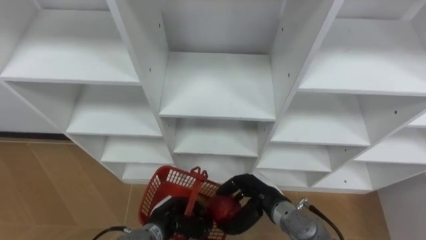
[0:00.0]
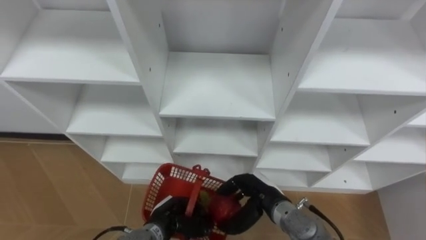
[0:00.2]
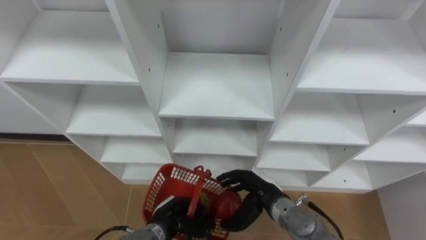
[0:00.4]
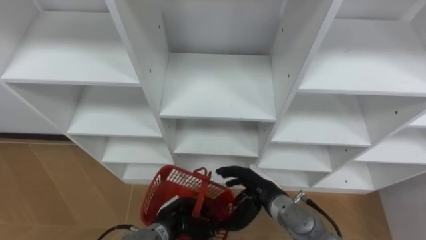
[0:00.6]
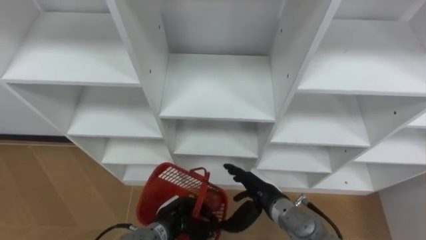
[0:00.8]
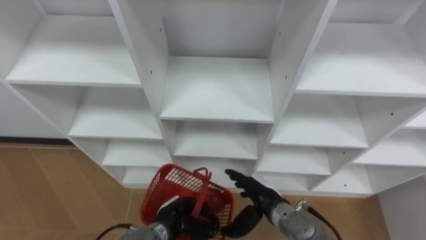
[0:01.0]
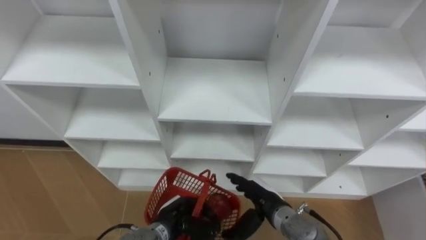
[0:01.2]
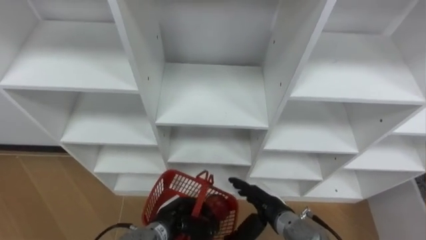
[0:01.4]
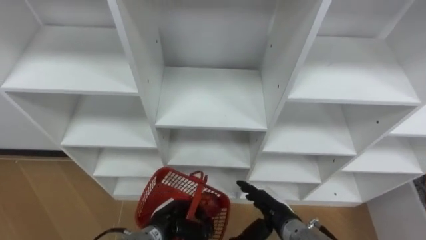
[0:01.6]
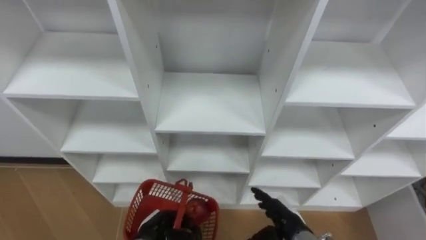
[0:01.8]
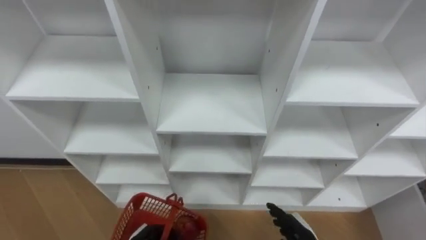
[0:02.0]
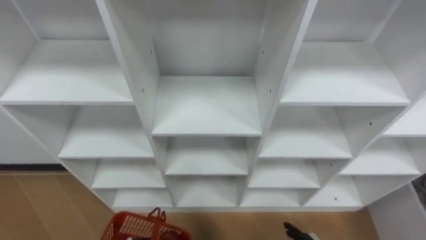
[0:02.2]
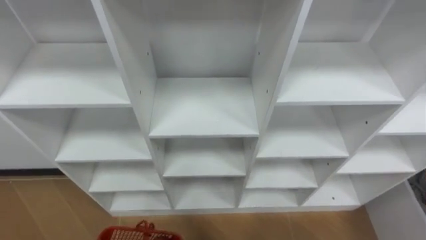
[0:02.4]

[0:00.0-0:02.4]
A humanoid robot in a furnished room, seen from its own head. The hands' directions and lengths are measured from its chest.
Task of the whole recording: Hold the basket and collect the fruits from 3 different cells of the closet into it.
0:00.0 to 0:01.2: The right hand opens.

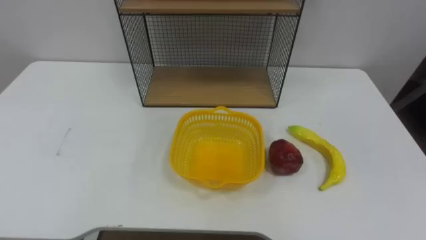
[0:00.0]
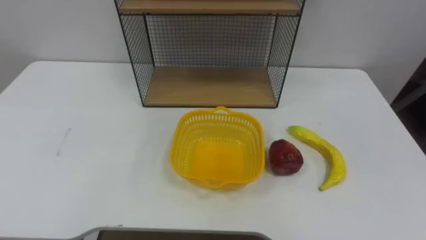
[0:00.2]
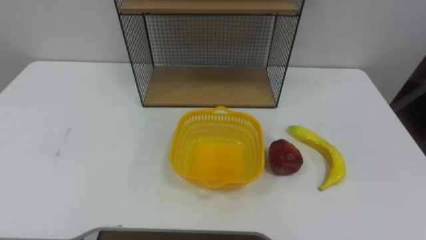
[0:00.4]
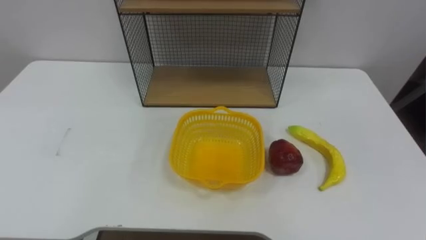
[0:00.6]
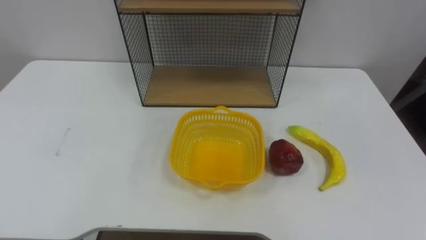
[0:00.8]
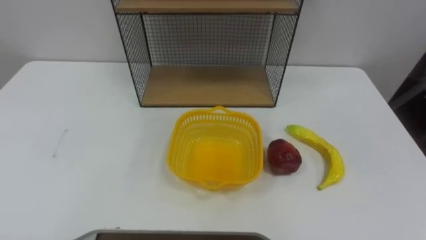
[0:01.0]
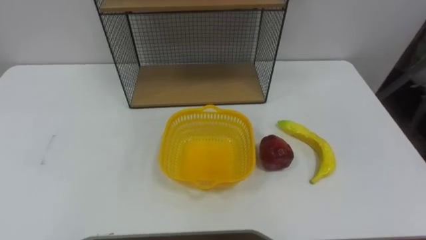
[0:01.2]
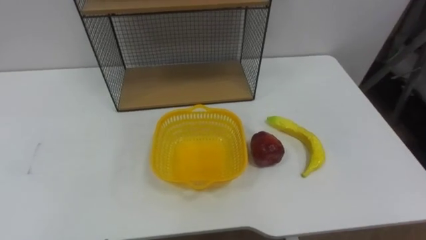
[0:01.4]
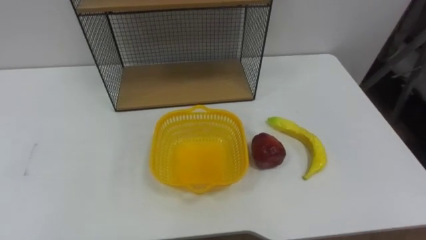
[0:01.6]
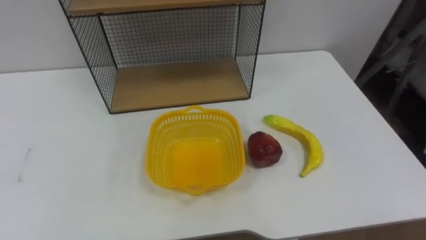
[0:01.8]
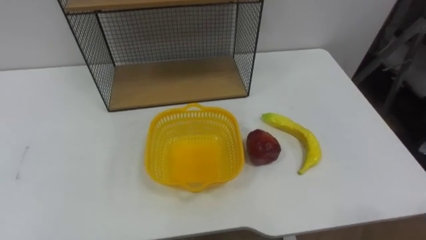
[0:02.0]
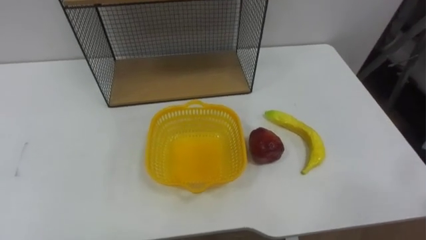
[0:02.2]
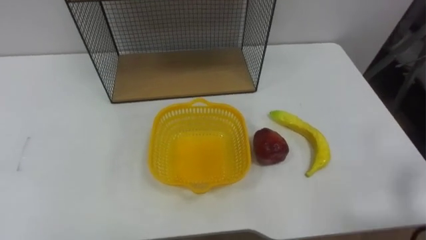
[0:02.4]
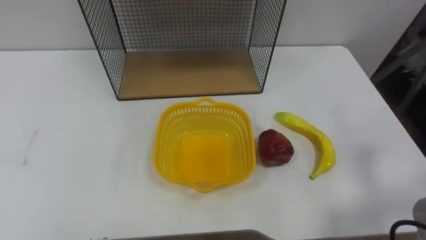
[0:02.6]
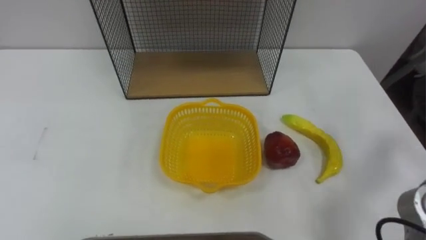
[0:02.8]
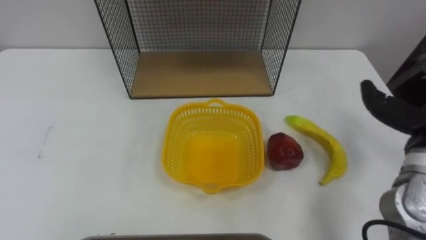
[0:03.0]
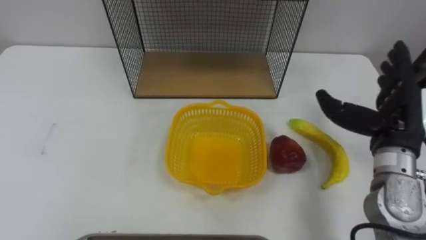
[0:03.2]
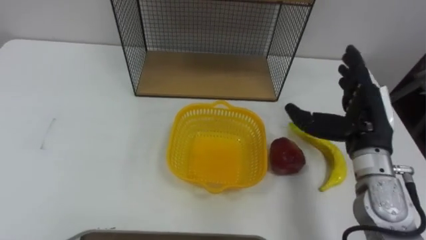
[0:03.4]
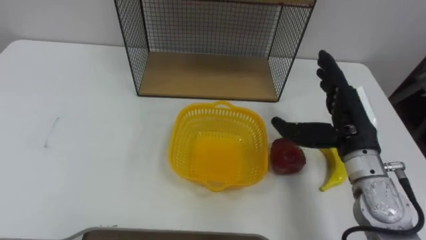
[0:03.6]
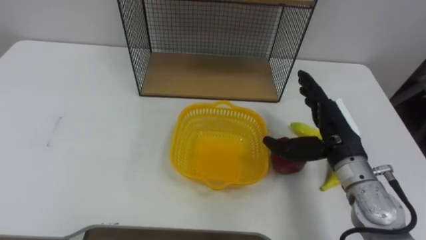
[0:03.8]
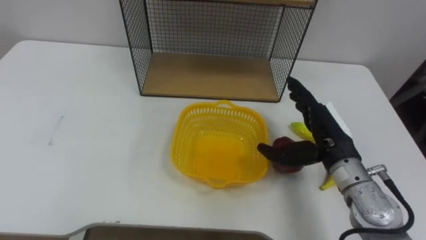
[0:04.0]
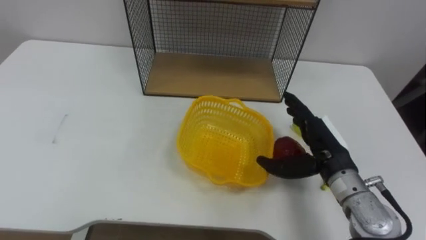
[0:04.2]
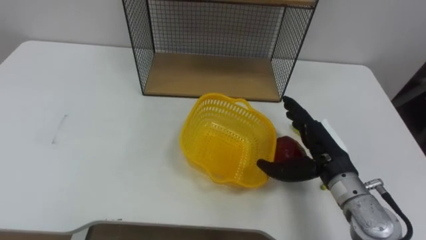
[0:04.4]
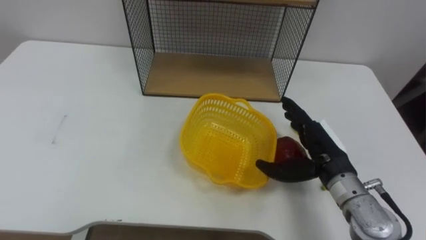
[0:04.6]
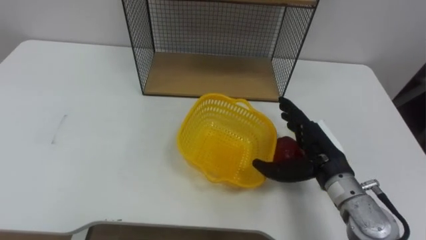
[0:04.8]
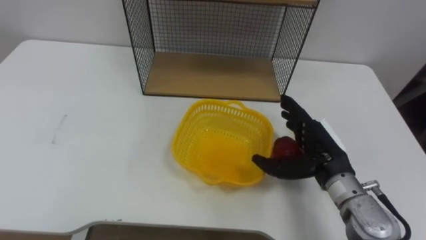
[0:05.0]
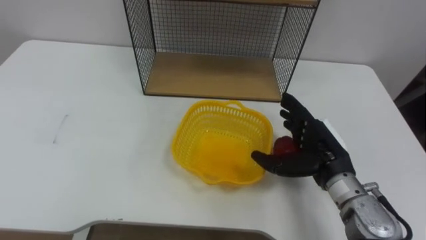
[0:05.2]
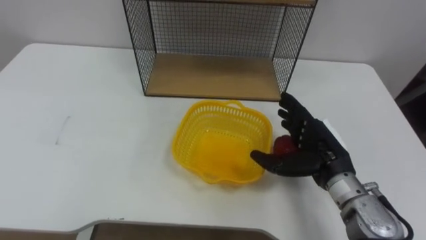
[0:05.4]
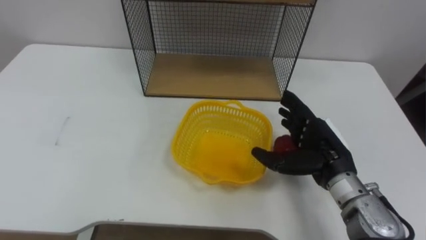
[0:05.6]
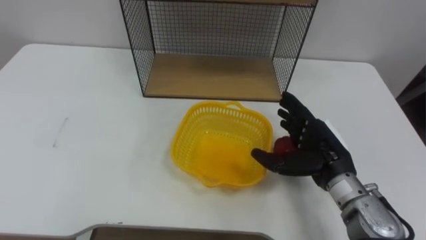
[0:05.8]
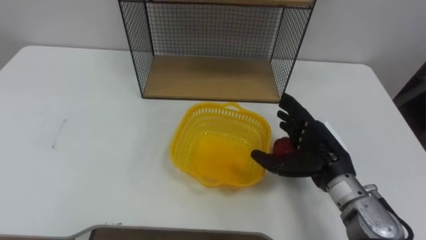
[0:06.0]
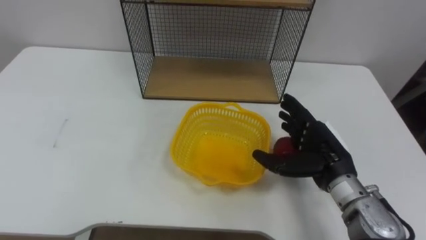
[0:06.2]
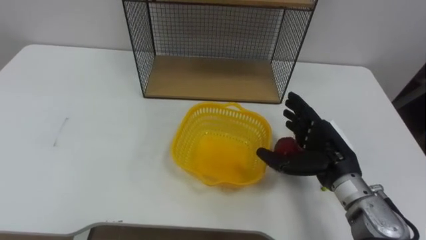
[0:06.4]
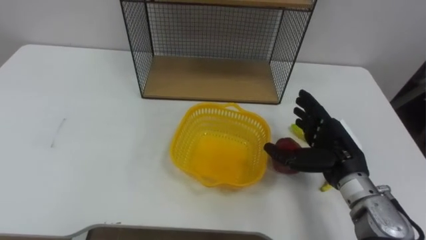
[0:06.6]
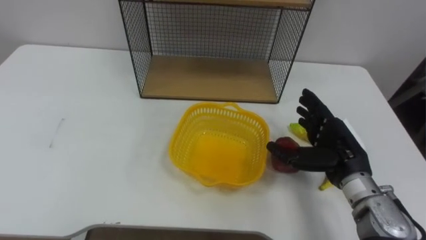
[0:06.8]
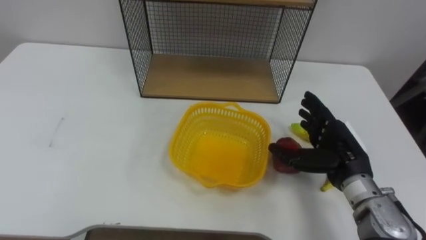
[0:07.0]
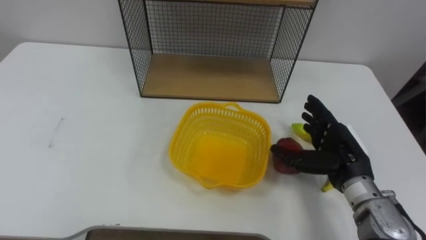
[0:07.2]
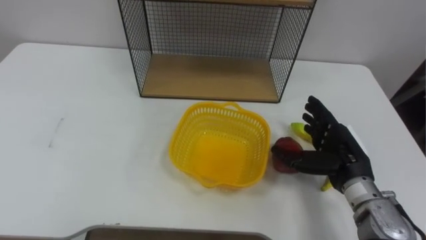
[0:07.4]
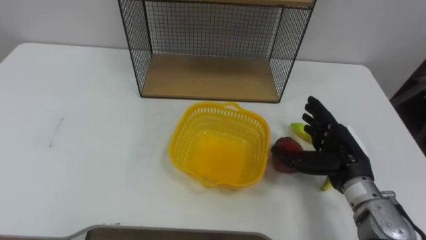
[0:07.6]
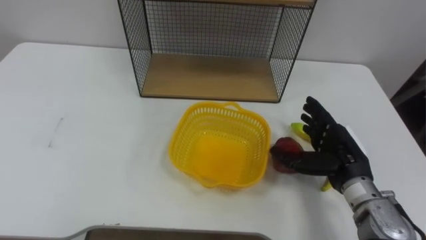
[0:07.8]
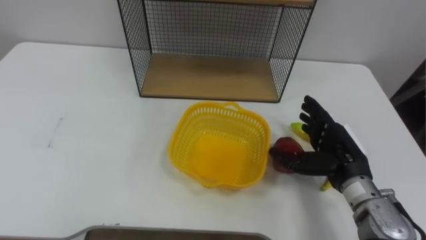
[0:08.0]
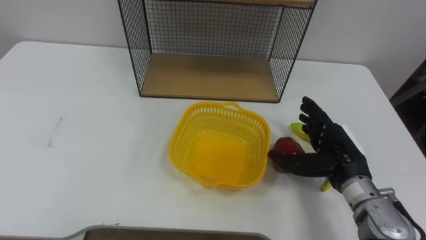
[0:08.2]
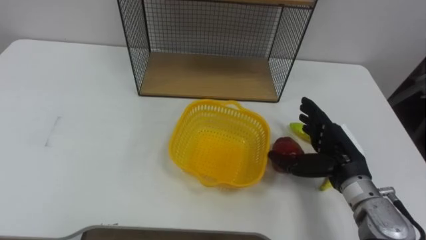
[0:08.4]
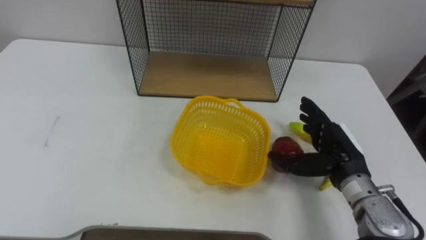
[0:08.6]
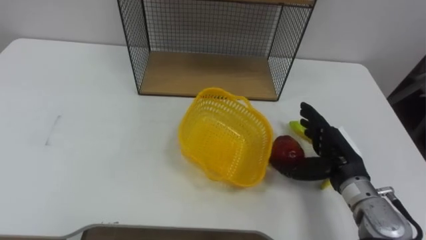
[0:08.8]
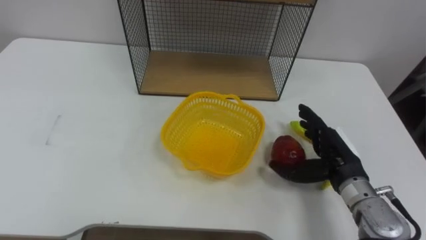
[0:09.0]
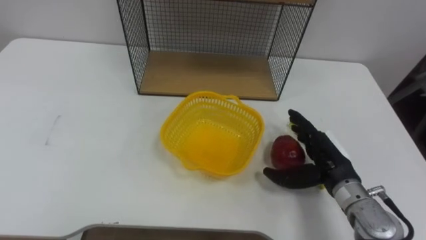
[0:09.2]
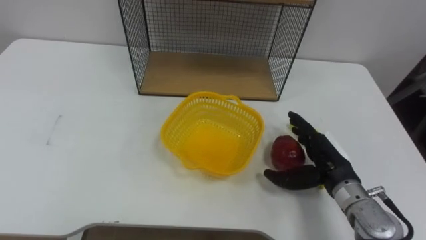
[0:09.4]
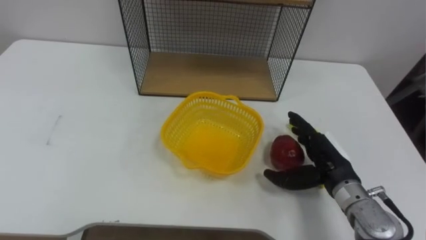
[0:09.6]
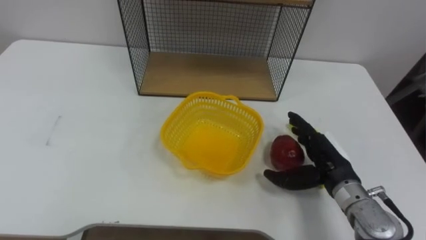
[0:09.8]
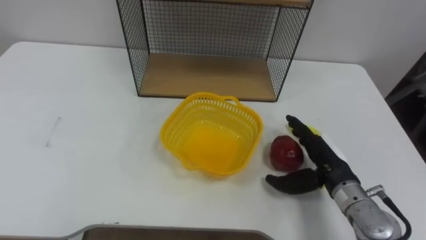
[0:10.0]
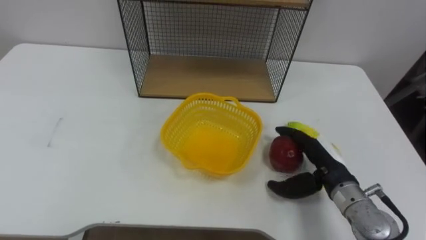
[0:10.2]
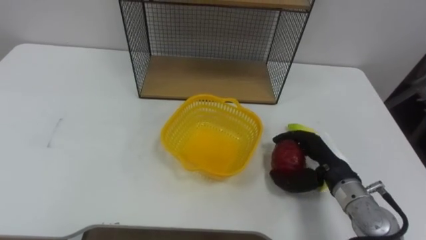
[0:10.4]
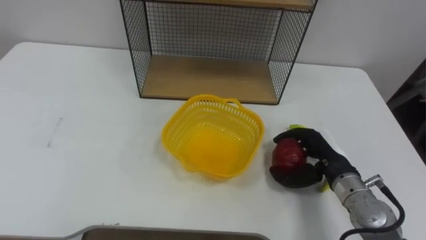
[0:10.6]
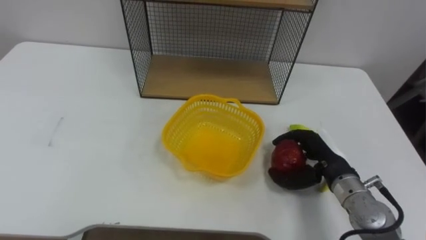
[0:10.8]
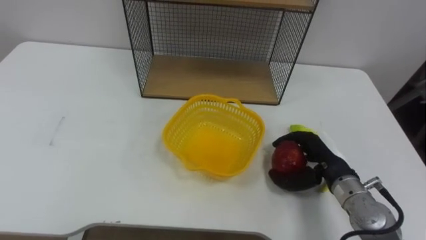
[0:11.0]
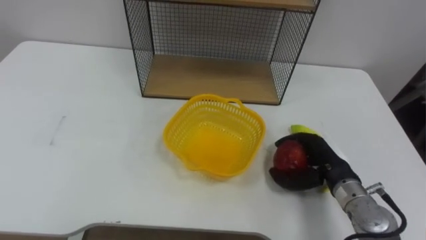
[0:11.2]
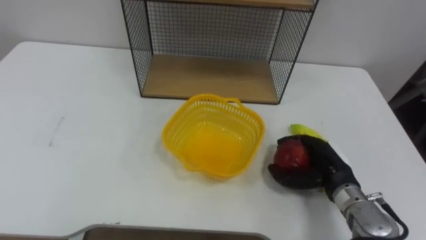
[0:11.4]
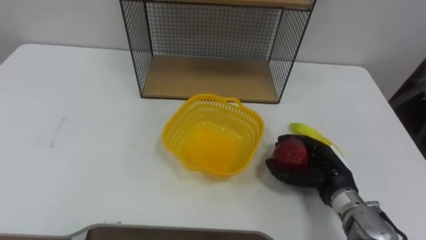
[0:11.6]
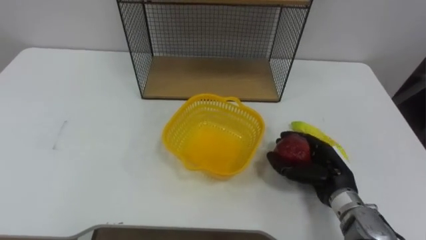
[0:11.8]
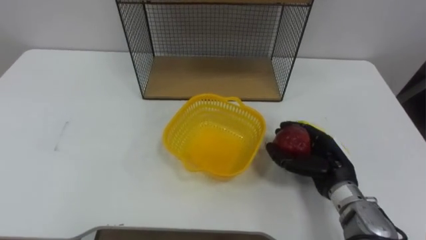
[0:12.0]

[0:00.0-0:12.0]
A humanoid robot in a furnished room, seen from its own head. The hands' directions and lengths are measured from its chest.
Task of the whole recording: Put the fruit on the table into the basket, then place the basket on the shelf.
0:09.0 to 0:10.4: The right hand closes its fingers.

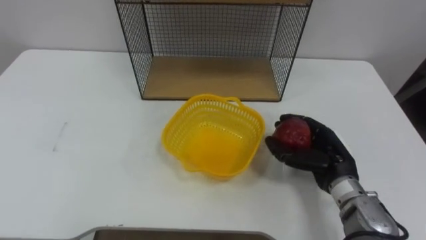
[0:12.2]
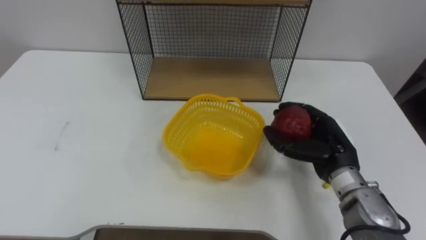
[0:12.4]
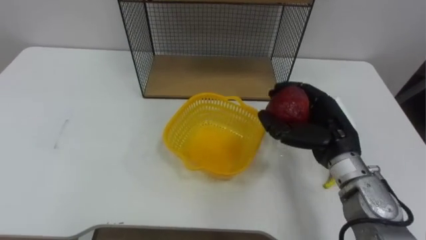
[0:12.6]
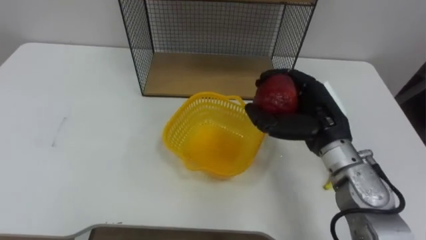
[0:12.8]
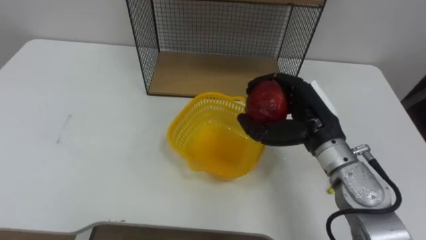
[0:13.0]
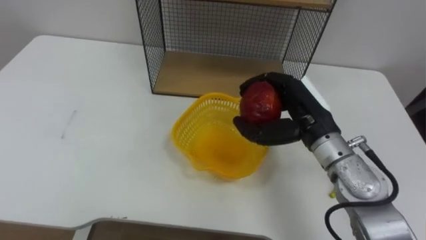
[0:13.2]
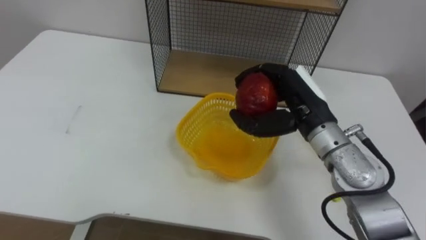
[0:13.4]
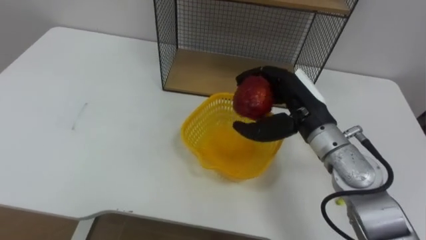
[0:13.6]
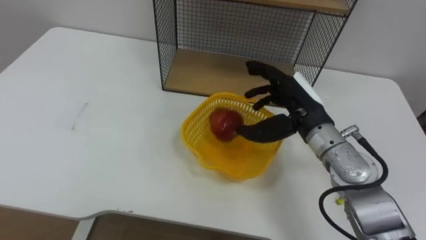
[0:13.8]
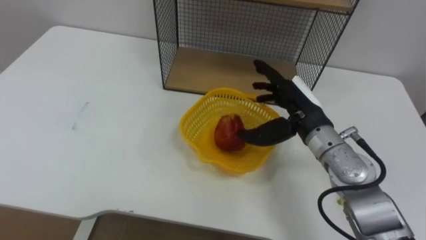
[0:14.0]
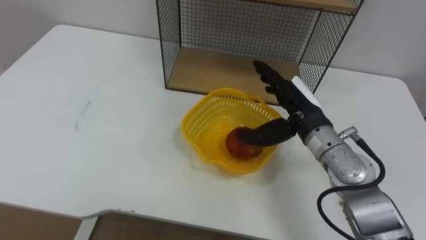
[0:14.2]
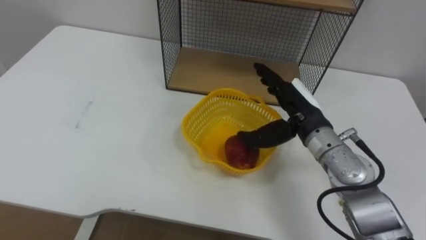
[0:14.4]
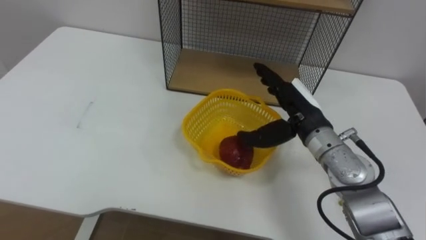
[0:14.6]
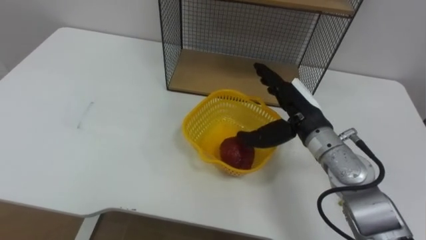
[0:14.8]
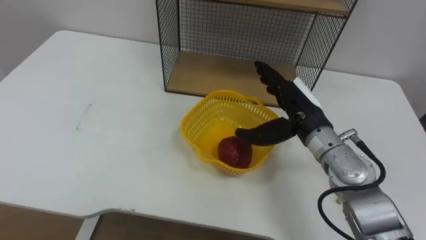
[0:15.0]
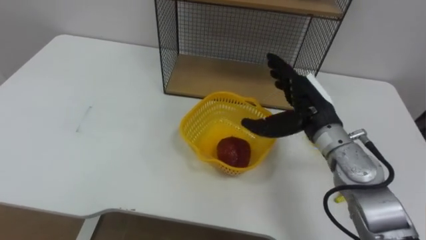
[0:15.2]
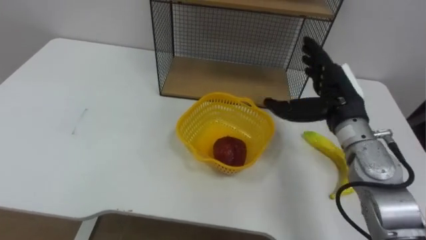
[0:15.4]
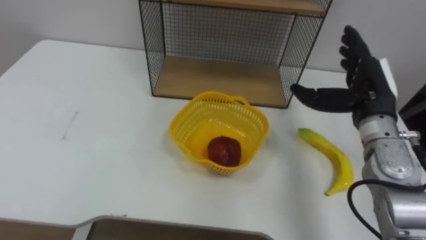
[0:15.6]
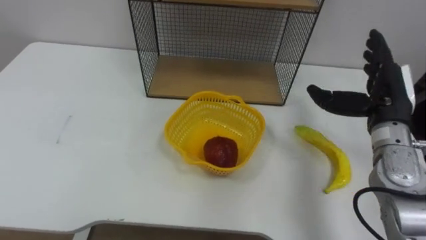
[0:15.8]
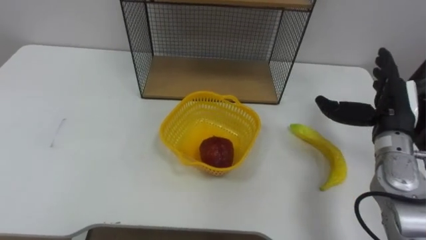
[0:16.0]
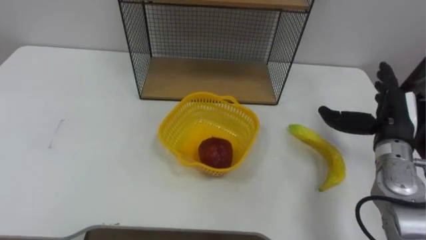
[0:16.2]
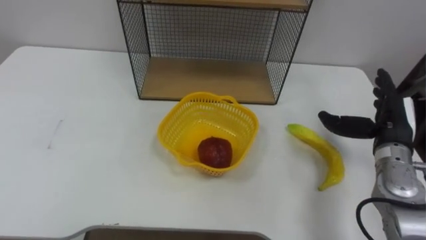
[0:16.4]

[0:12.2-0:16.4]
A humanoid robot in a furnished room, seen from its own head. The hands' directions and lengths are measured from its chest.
Task of the whole recording: Put the fruit on the table into the basket, then place the basket on the shelf.
0:12.2 to 0:13.6: The right hand goes about 15 cm upward and to the left.
0:13.6 to 0:15.0: The right hand opens its fingers.
0:15.0 to 0:16.4: The right hand heads to the right, covering about 15 cm.
